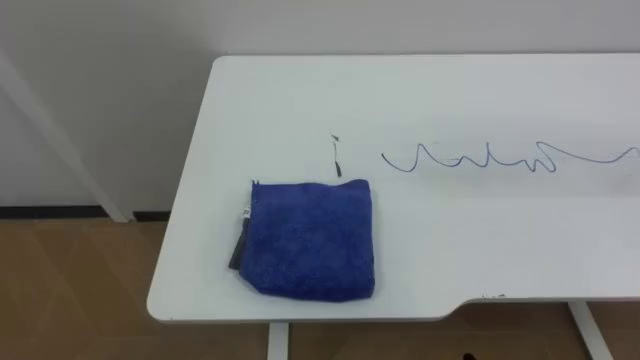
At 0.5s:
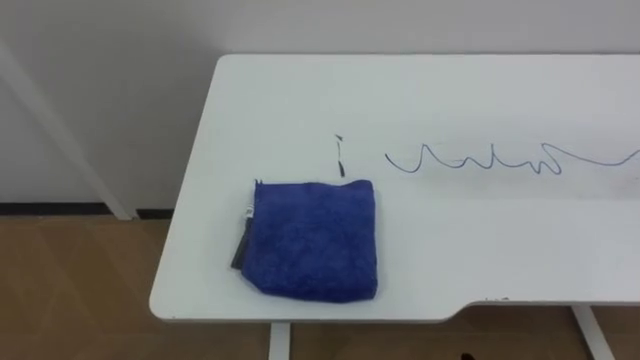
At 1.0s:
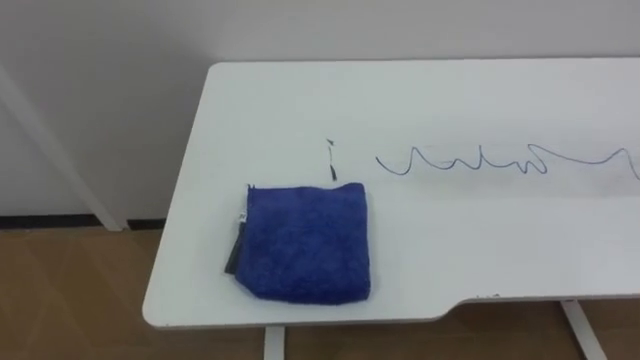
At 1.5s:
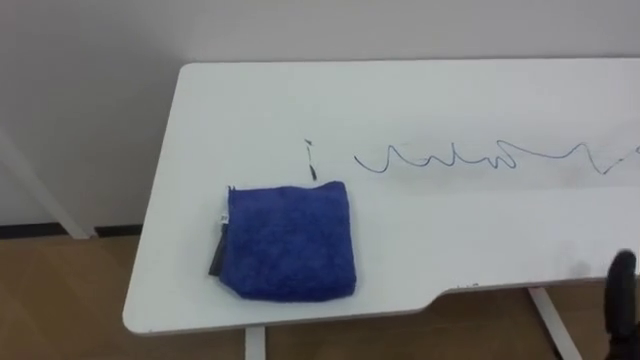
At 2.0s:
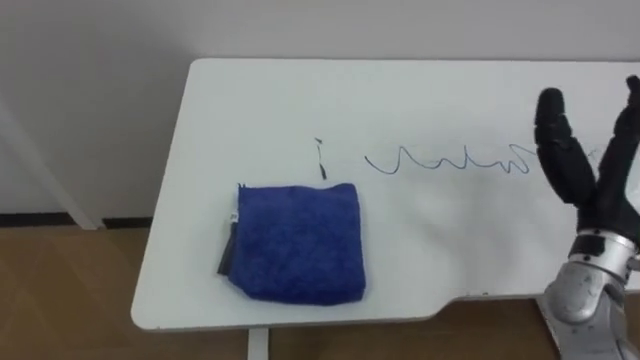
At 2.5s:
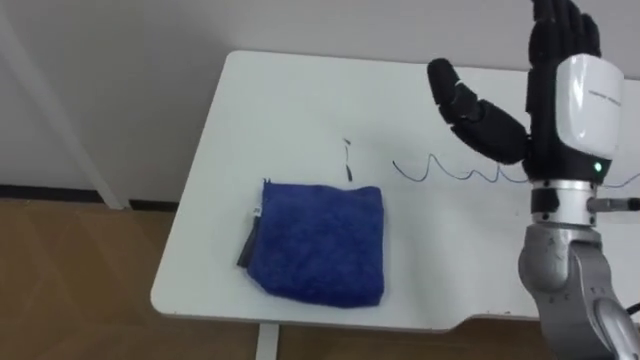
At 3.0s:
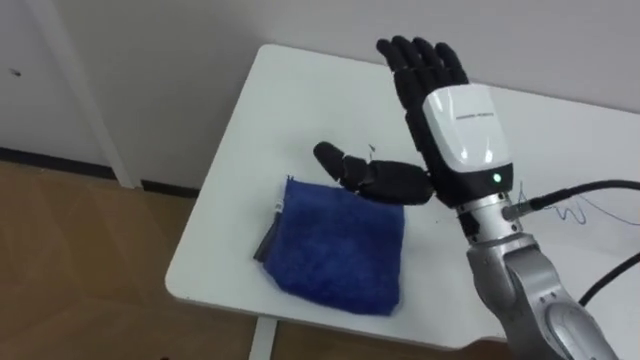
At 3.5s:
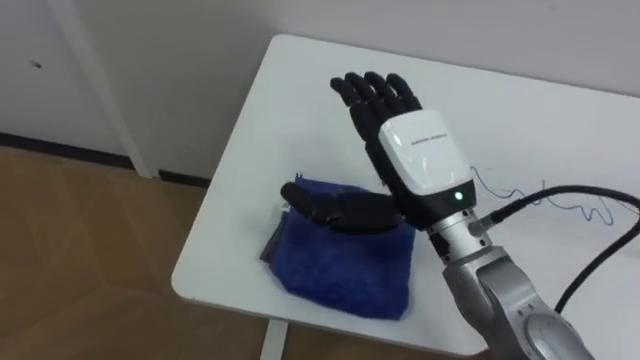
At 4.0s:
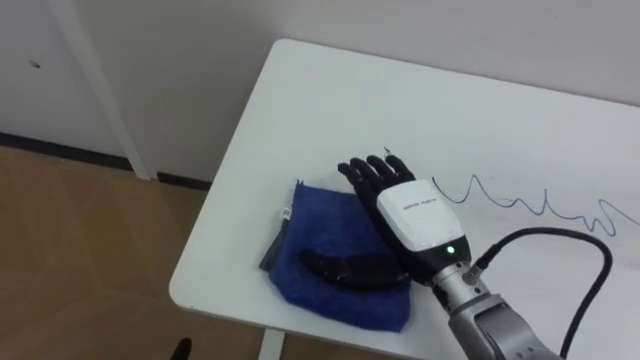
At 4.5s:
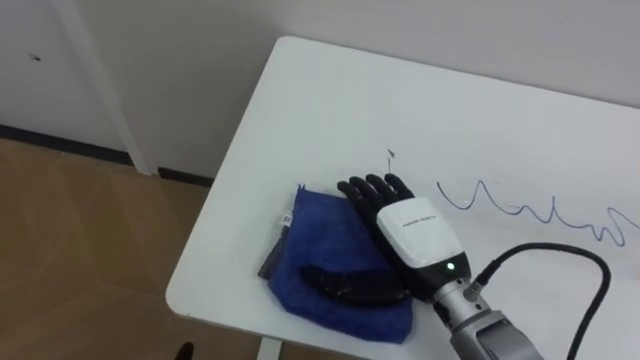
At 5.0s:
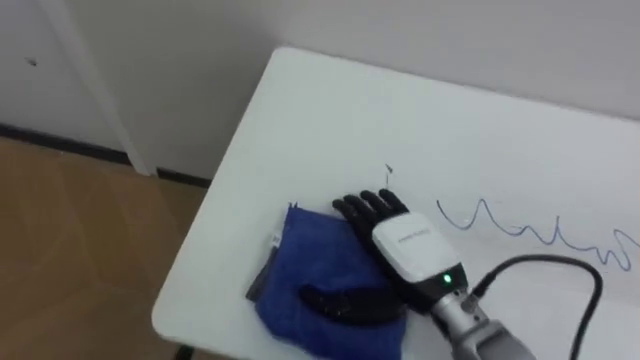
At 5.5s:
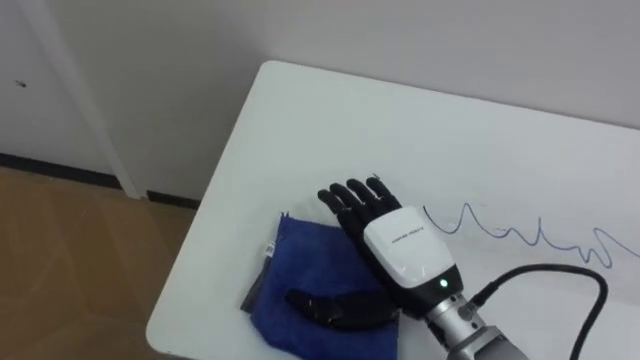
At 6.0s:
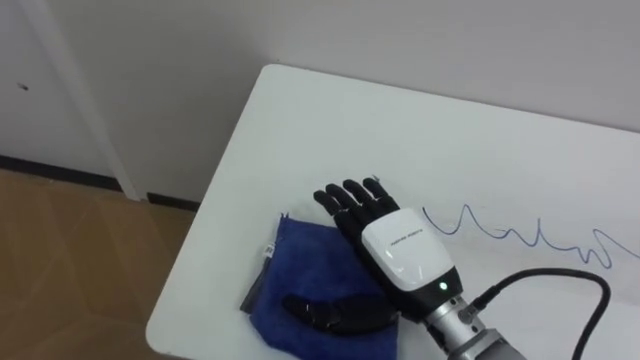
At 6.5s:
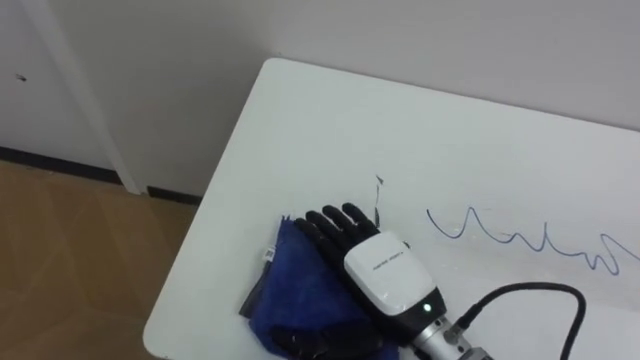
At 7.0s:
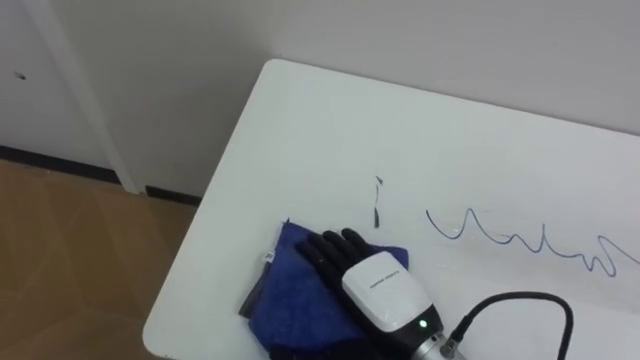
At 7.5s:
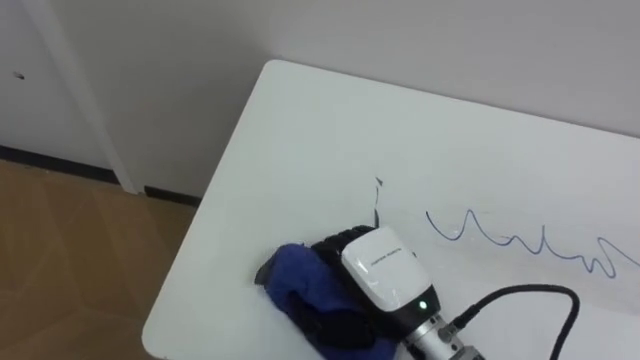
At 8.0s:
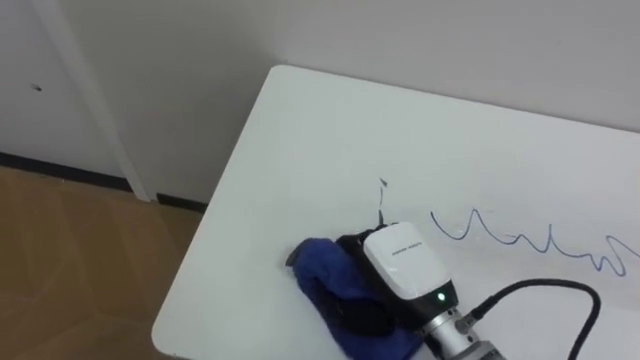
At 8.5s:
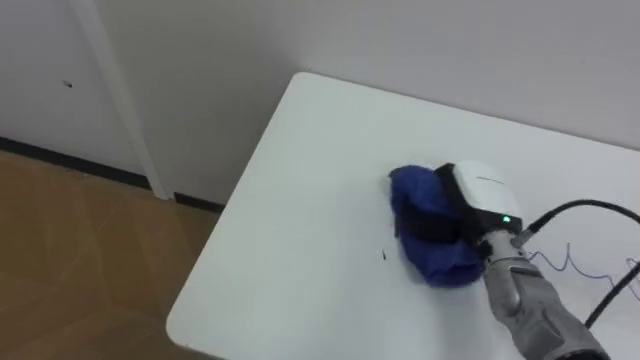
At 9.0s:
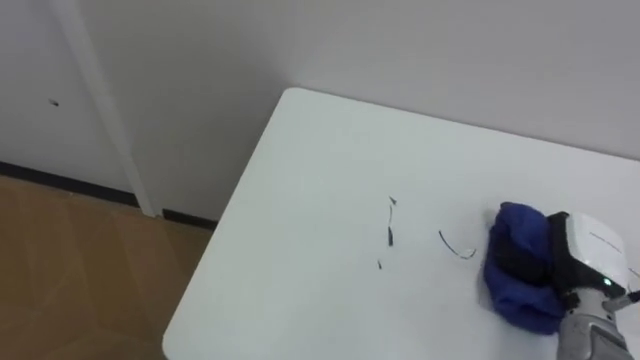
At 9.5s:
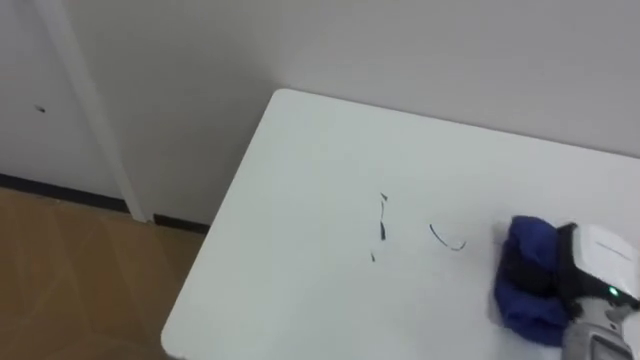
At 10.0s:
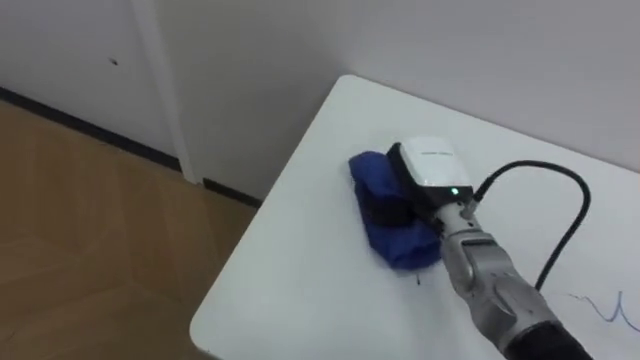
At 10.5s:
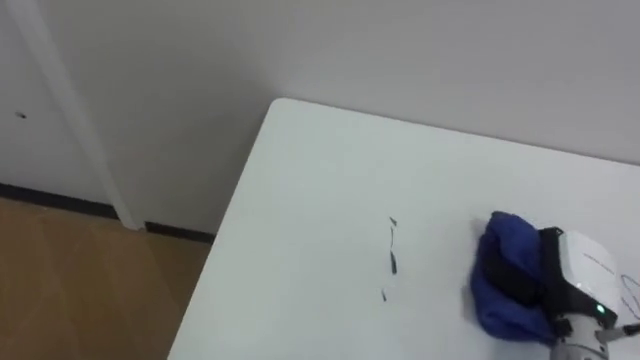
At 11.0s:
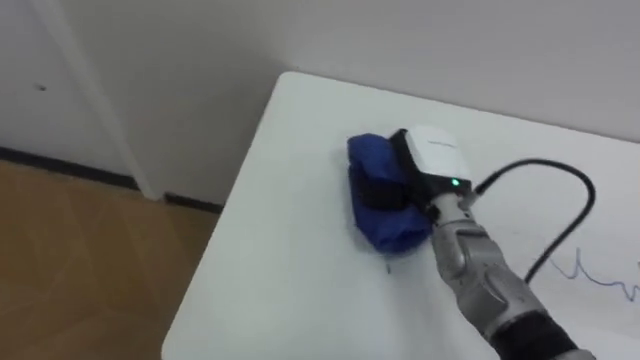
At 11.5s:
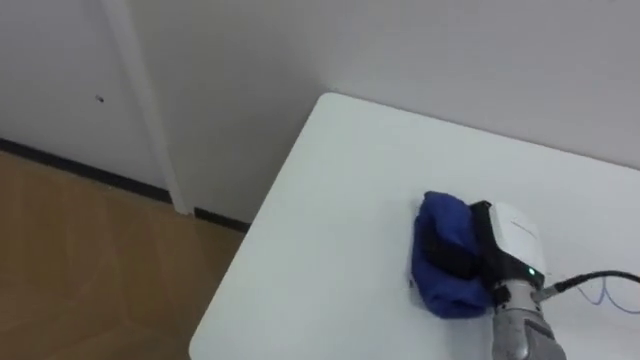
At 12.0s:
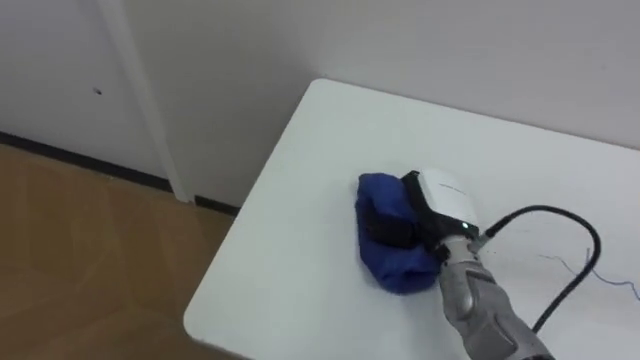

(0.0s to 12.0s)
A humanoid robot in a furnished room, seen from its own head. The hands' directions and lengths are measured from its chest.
Task of the whole recording: Wipe the blue pen marks off the table with the rag.
2.0s - 4.0s: The right hand goes roughly 20 cm to the left.
6.0s - 8.0s: The right hand closes.
8.0s - 10.0s: The right hand shifts roughly 10 cm forward, and travels to the right and back again, roughly 25 cm each way.
10.0s - 12.0s: The right hand moves left and right over some 15 cm, changing direction 3 times.

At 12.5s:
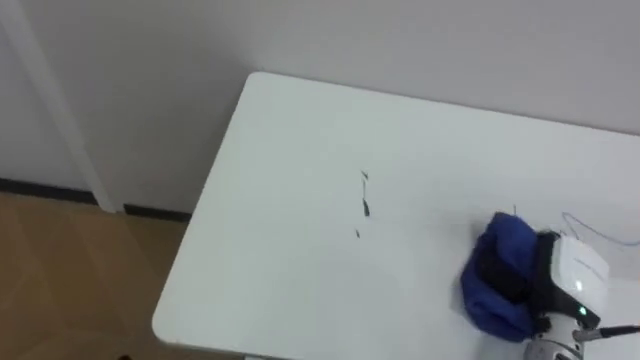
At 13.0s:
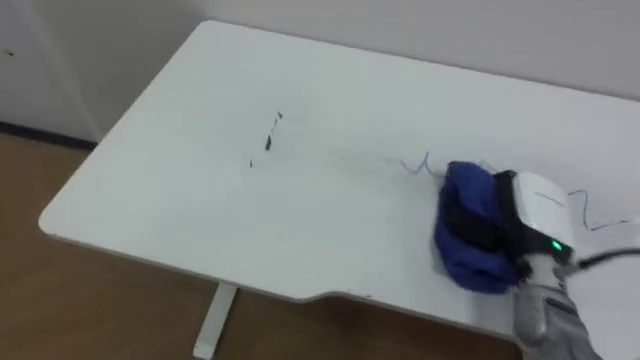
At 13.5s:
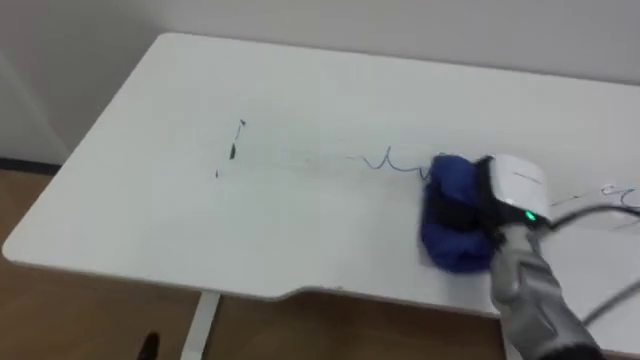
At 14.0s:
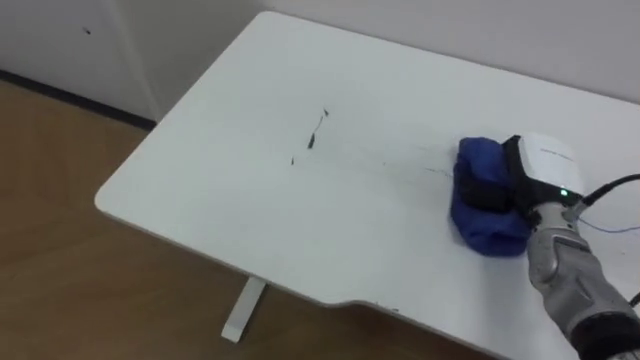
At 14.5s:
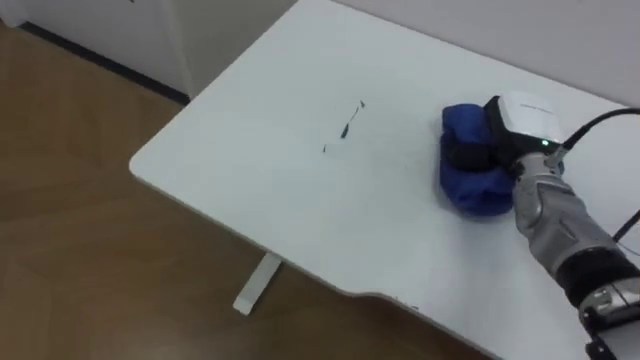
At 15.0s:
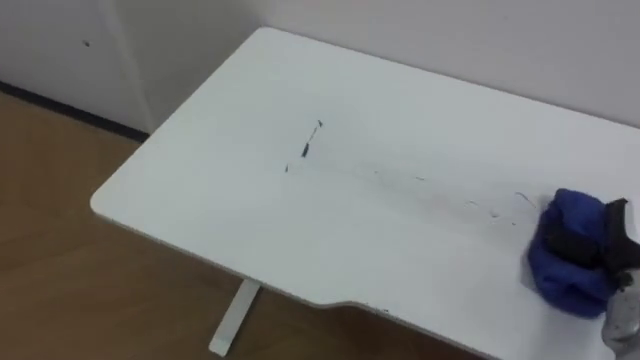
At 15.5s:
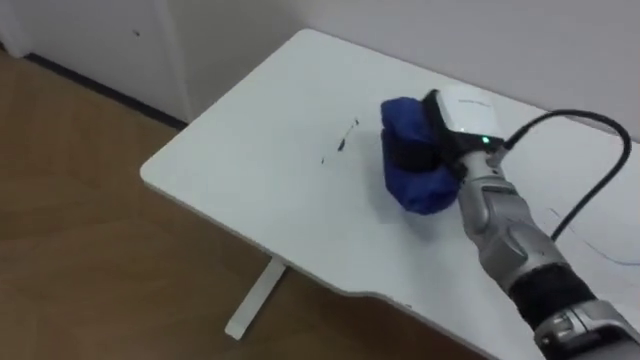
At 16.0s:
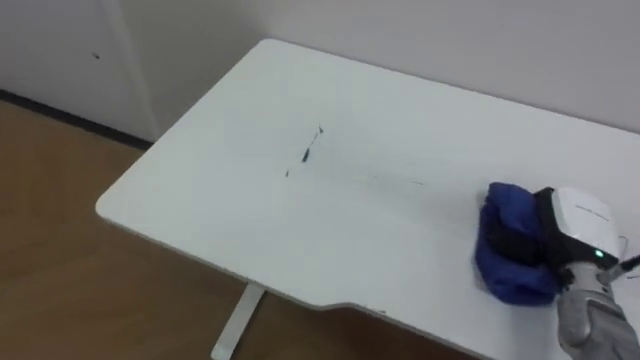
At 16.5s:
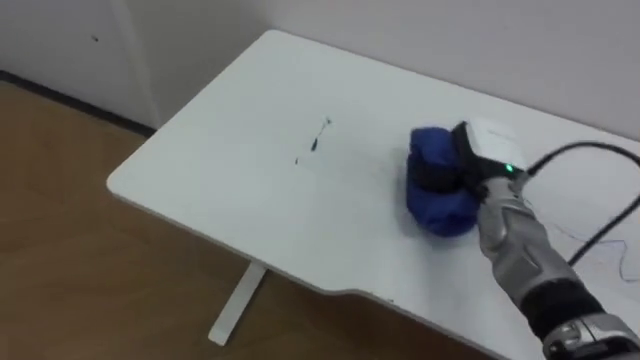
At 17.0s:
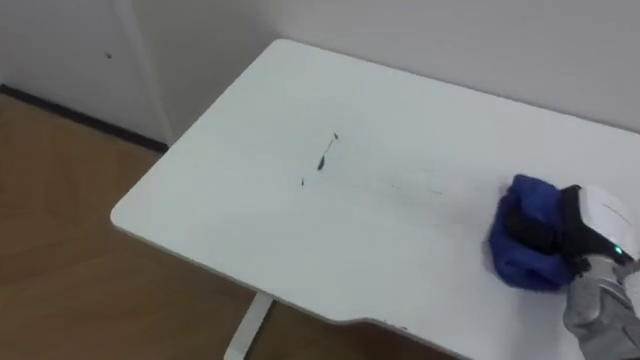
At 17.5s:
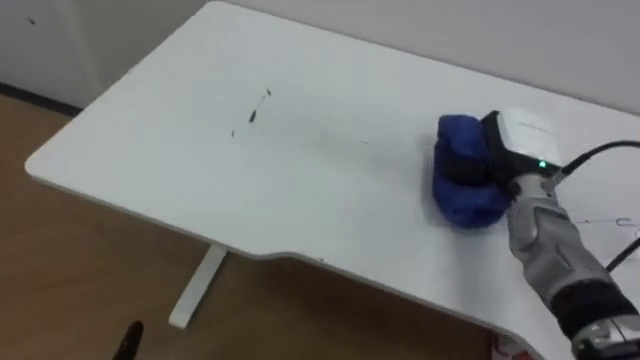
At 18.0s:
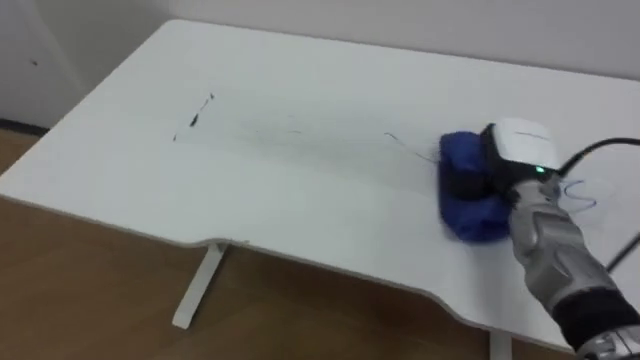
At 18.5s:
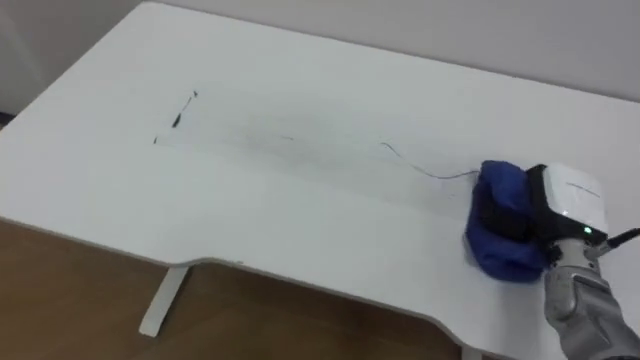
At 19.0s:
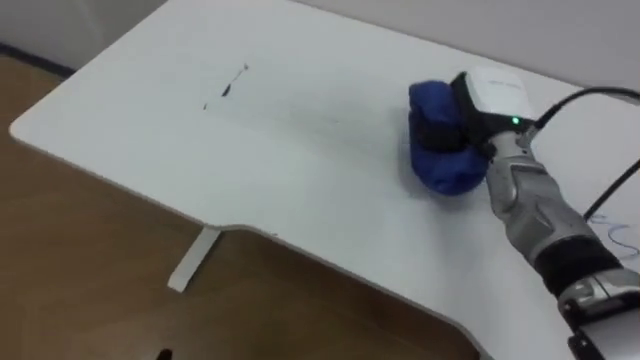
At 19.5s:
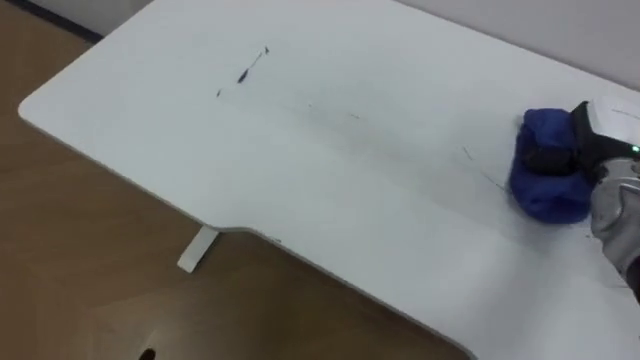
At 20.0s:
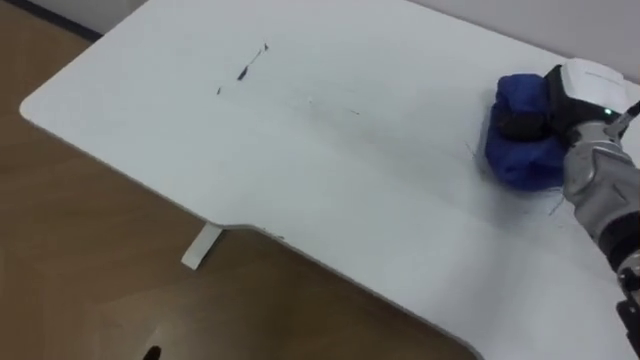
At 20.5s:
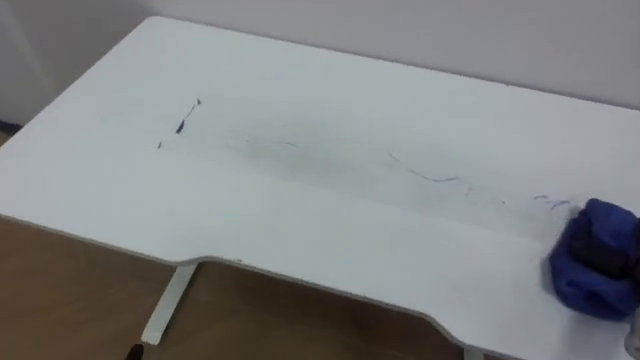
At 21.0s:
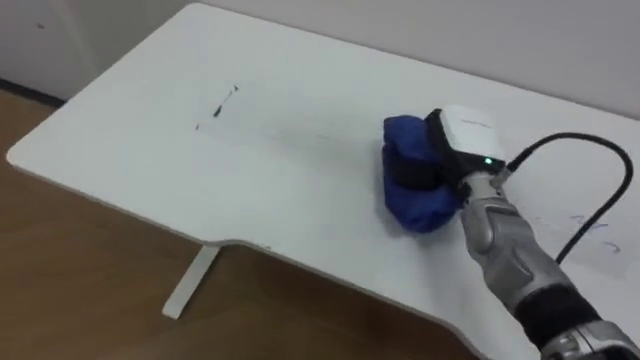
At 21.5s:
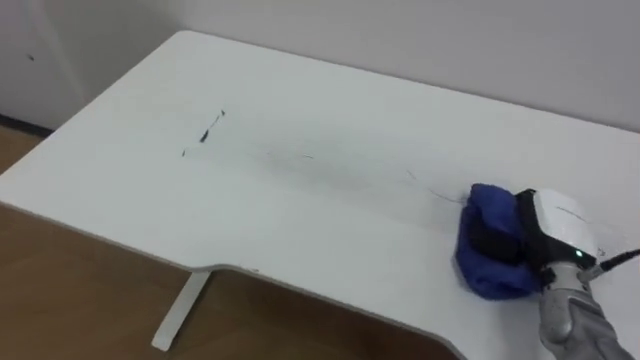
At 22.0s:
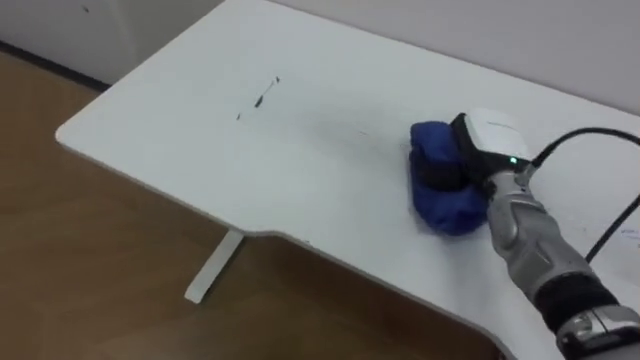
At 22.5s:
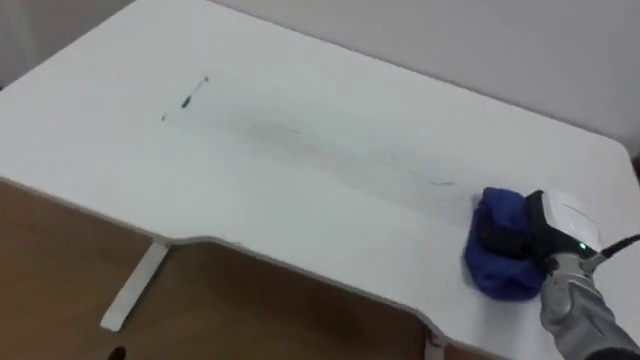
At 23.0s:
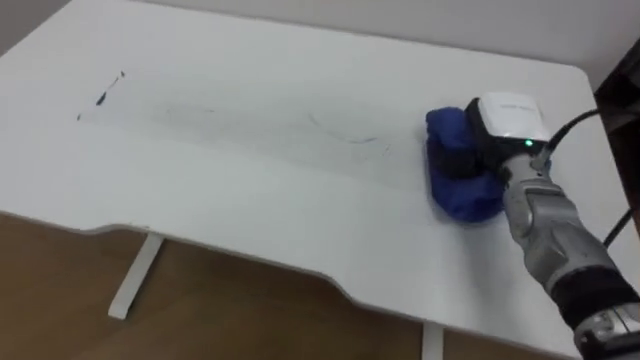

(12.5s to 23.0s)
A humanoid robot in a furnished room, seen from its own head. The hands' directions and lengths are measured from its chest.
Task of the whole recording: Wipe the blue pen marks off the table with the rag.
12.5s - 14.5s: The right hand heads forward and upward, covering about 20 cm.
14.5s - 16.5s: The right hand goes left and right, approximately 20 cm each way, reversing 3 times.
16.5s - 19.0s: The right hand moves left and right over some 15 cm, changing direction 3 times.
21.0s - 23.0s: The right hand goes left and right, about 15 cm each way, reversing 3 times.
